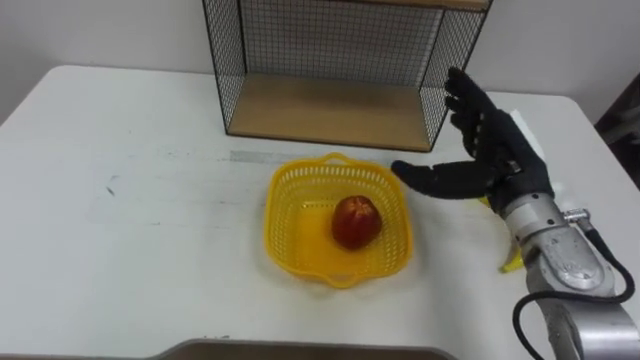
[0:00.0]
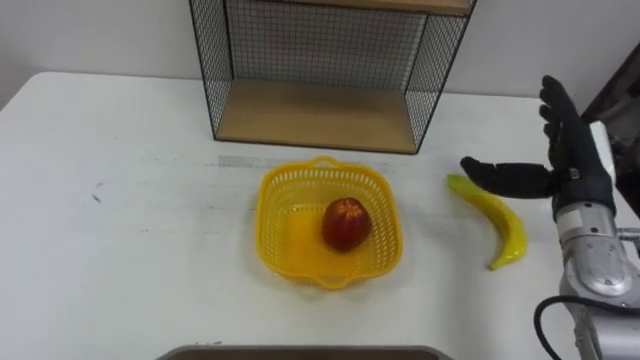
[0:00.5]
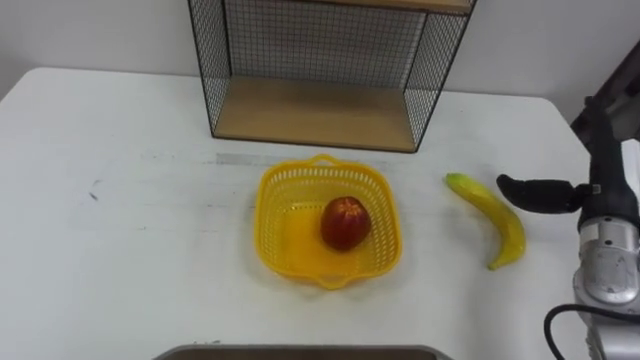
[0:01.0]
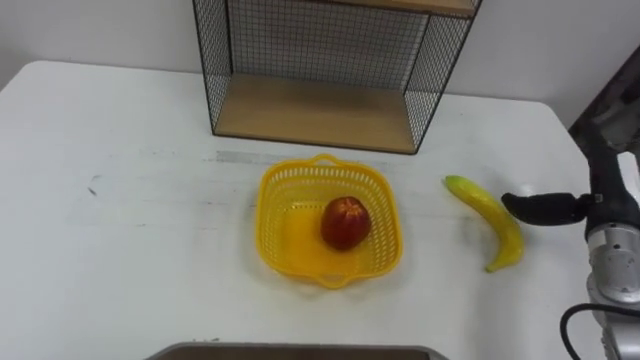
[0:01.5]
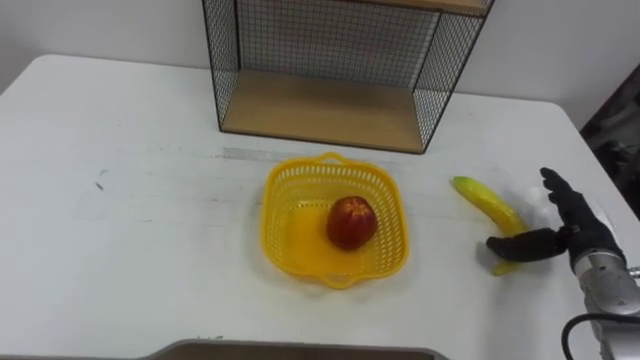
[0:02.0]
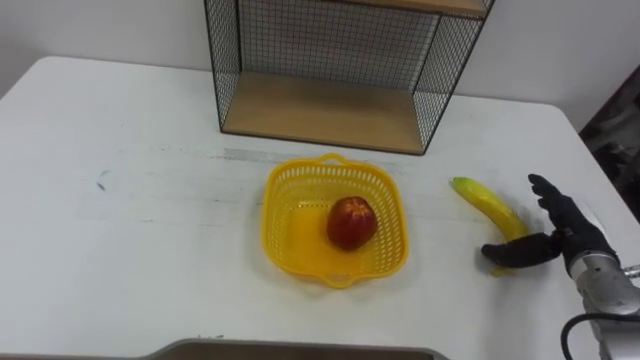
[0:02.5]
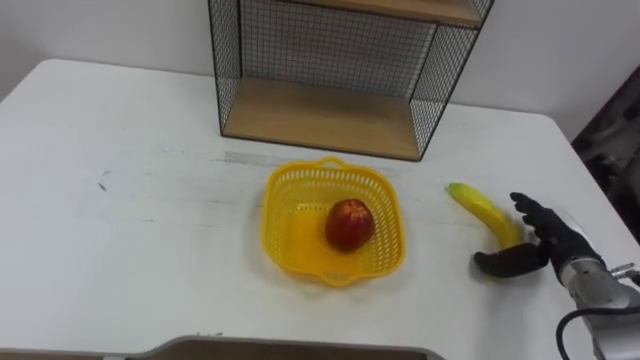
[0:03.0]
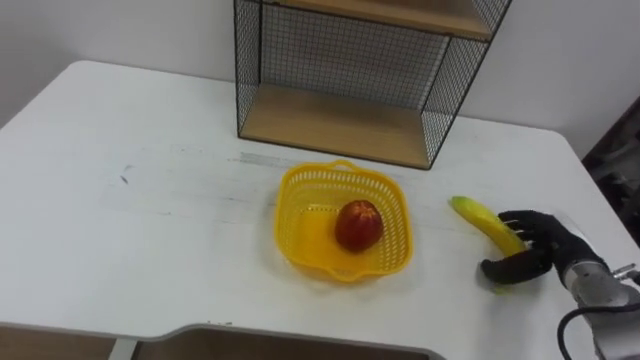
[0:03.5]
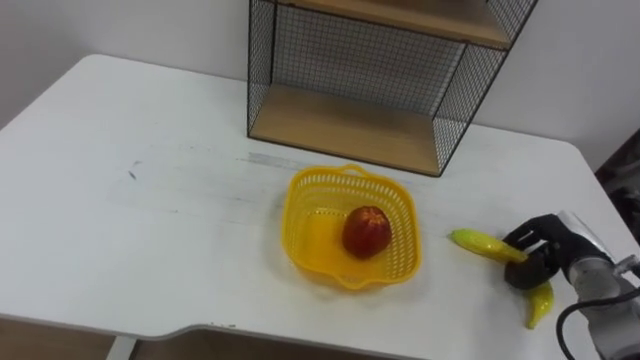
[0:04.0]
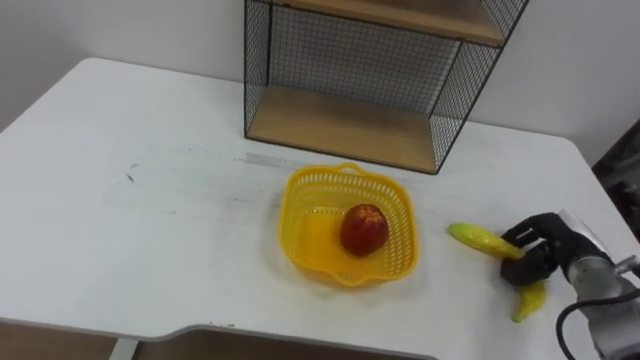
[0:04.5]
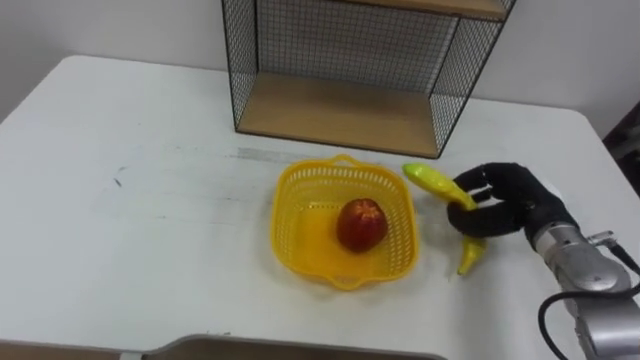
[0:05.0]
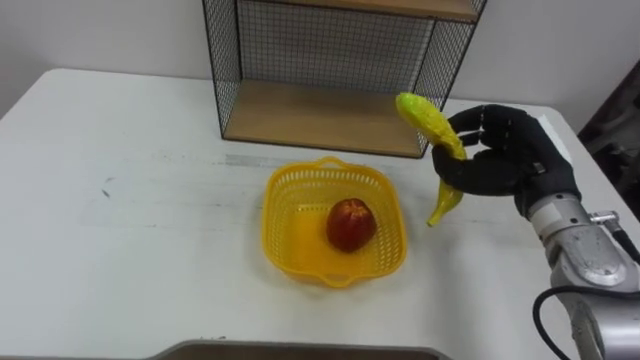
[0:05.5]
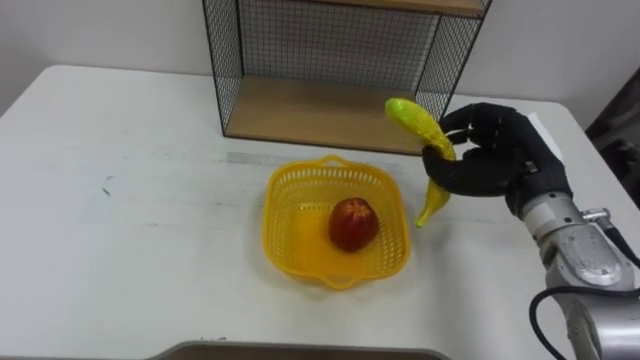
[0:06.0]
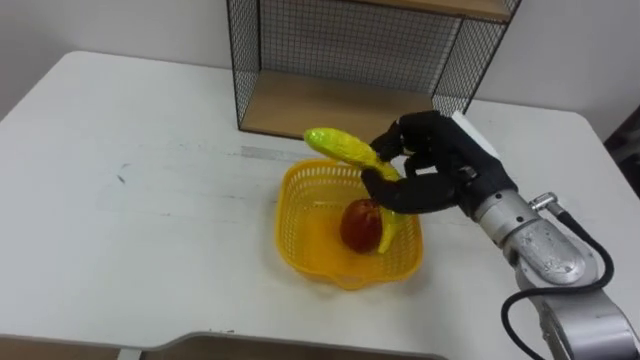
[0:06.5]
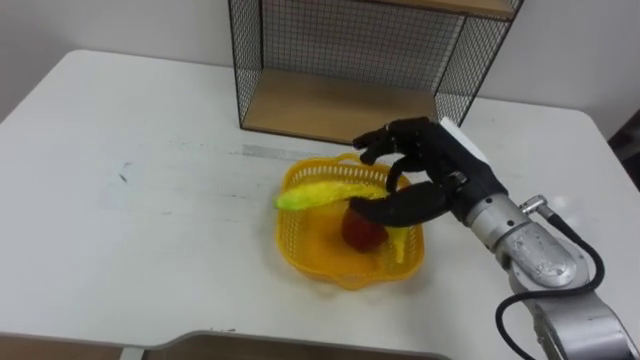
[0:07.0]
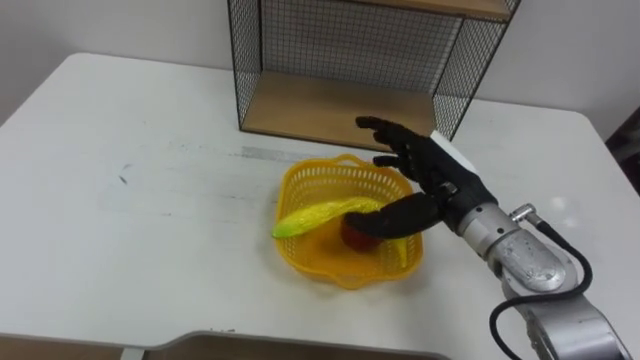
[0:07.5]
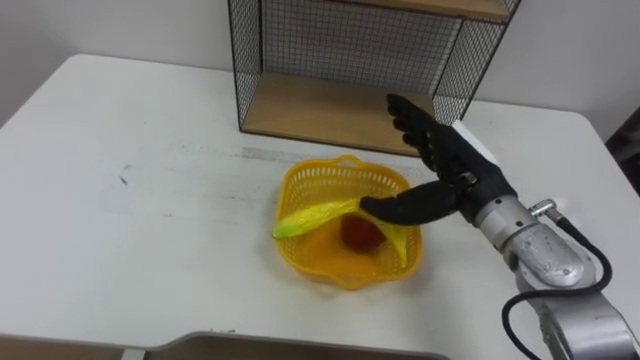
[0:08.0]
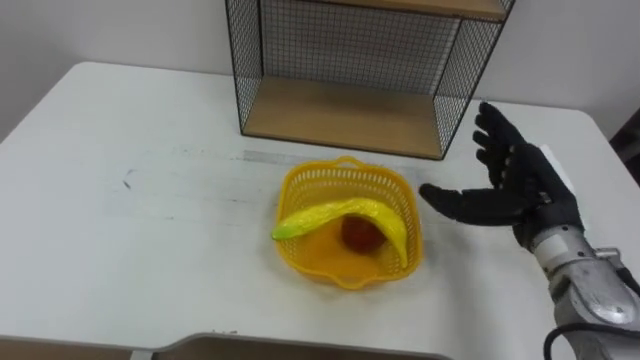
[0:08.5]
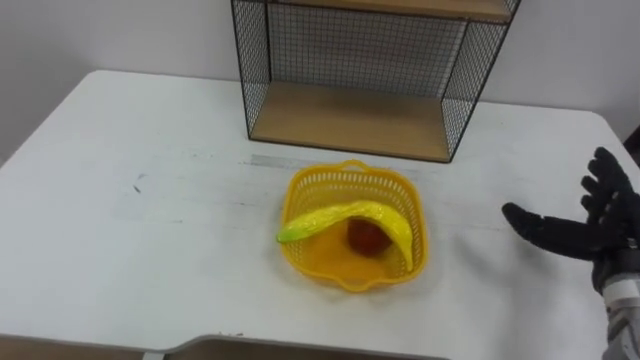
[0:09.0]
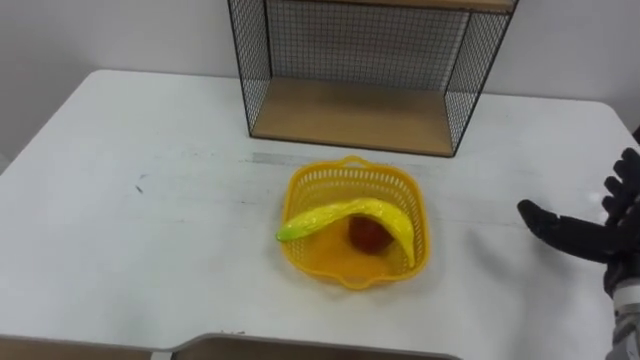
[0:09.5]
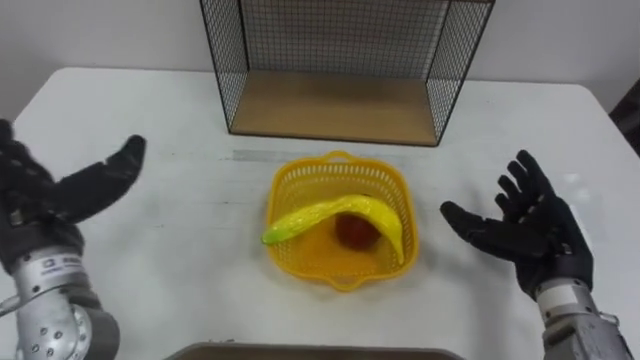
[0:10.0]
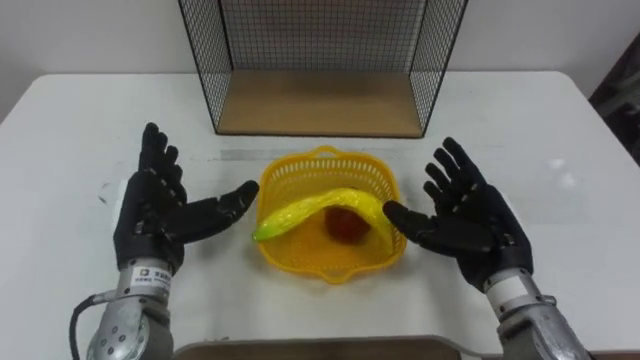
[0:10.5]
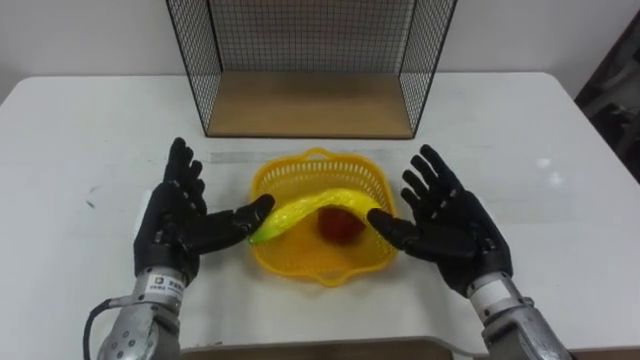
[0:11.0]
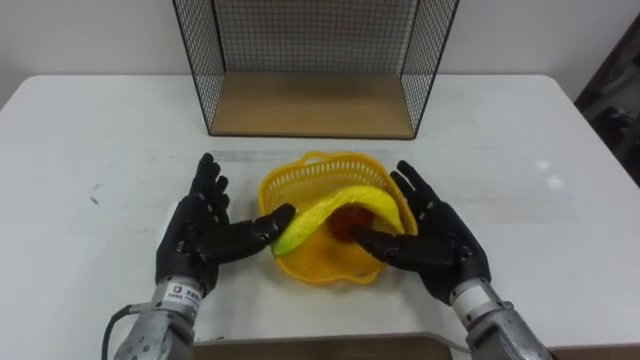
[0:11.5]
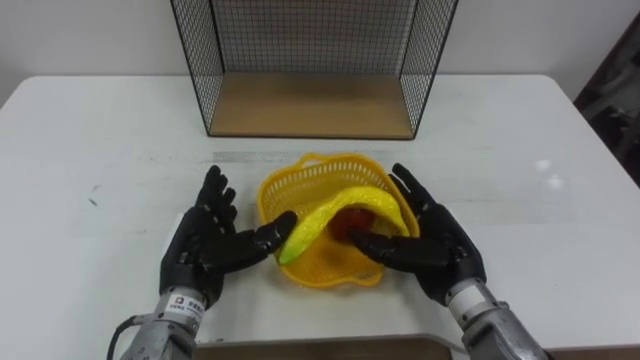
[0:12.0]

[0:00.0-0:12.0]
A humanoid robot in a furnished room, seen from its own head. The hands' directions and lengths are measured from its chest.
Task of the whole recording: Put the fruit on the table into the basket, then place the basket on the shelf.
0:00.0 to 0:02.0: The right hand shifts roughly 15 cm to the right and downward.
0:02.0 to 0:04.0: The right hand closes up.
0:04.0 to 0:06.0: The right hand travels upward and to the left by approximately 20 cm.
0:06.0 to 0:08.0: The right hand heads to the left, covering about 5 cm, and opens its fingers.
0:10.0 to 0:12.0: The left hand goes roughly 15 cm to the right and downward. The right hand is displaced to the left by approximately 10 cm.

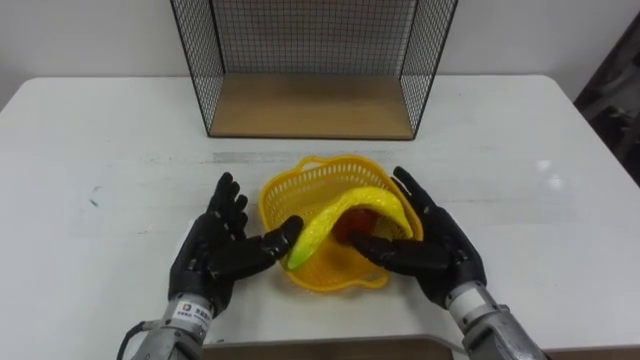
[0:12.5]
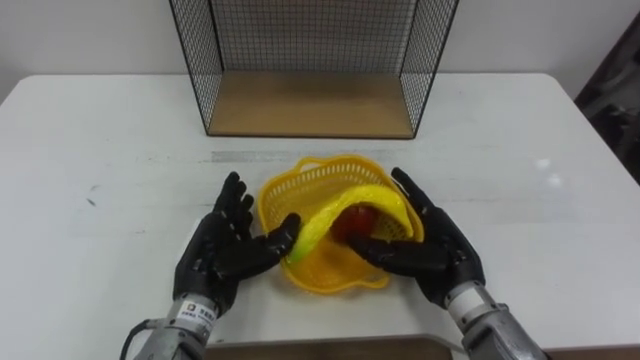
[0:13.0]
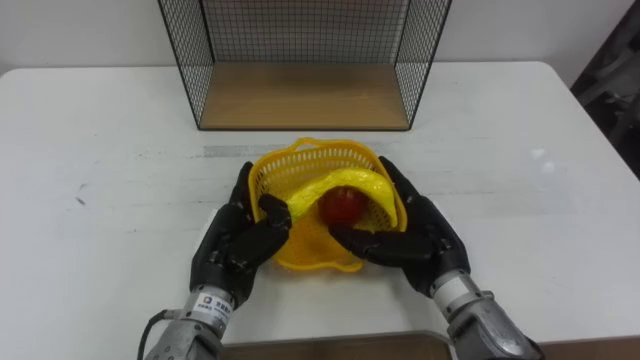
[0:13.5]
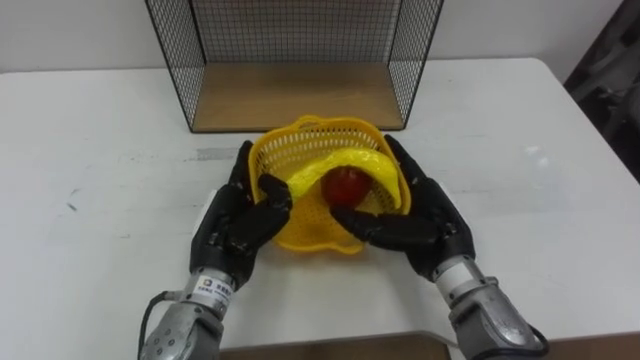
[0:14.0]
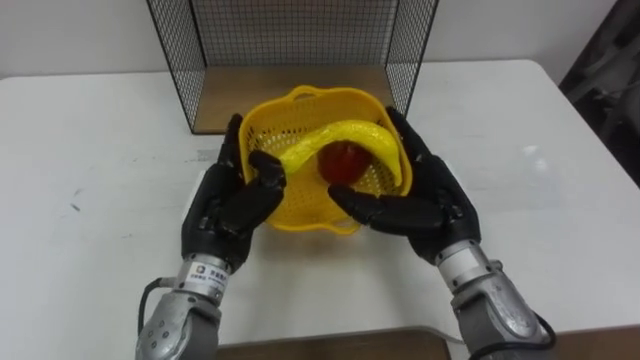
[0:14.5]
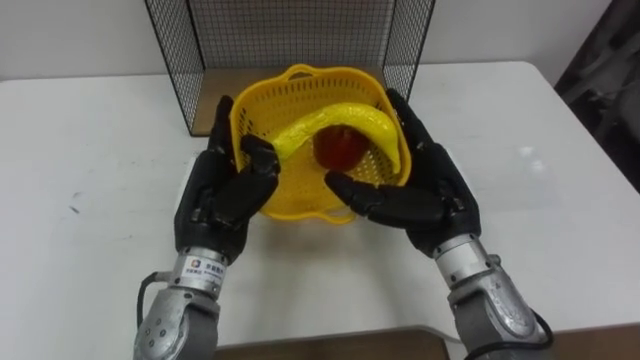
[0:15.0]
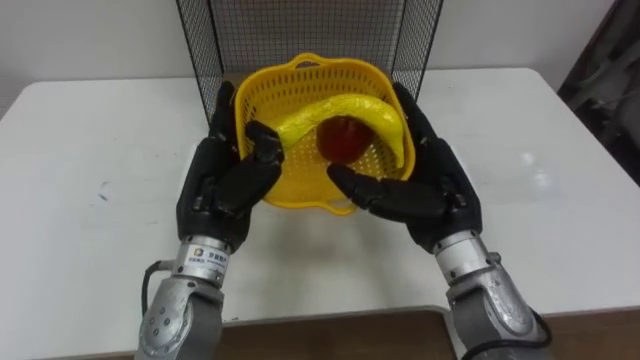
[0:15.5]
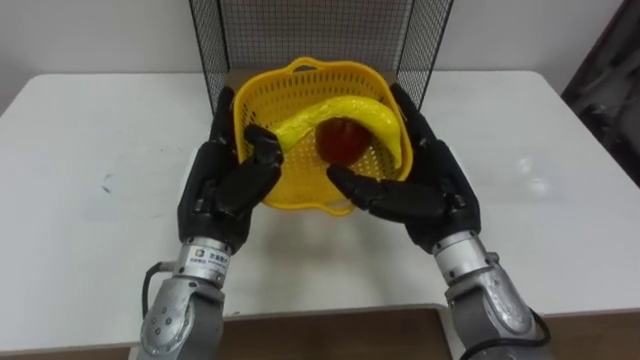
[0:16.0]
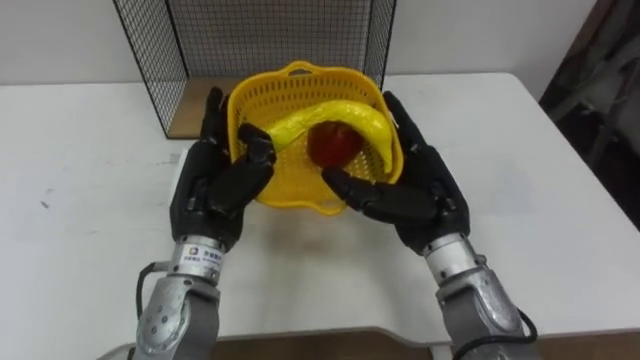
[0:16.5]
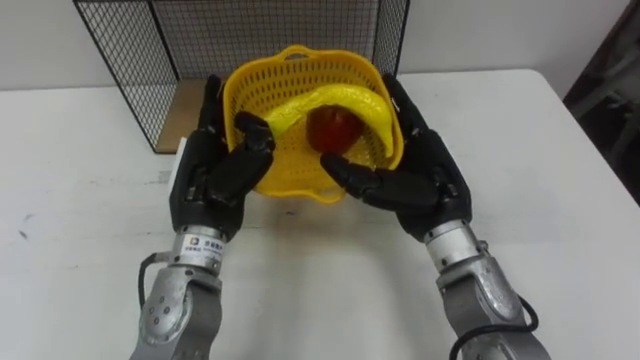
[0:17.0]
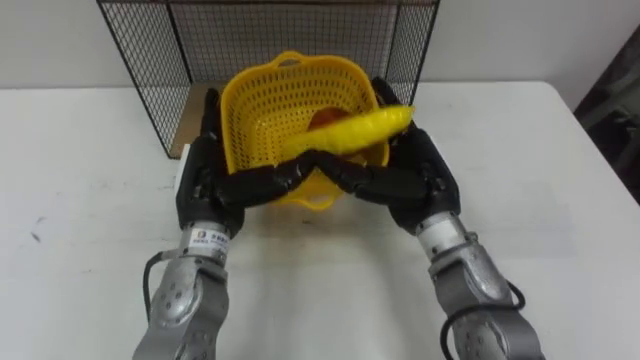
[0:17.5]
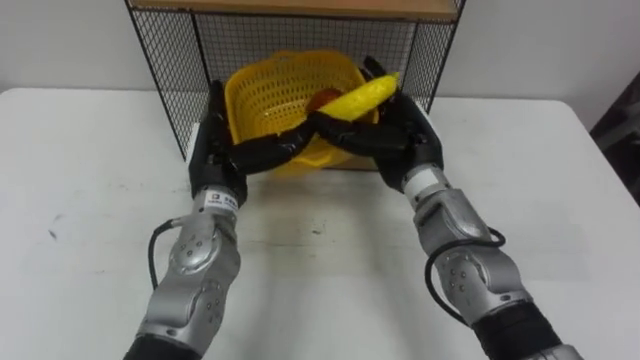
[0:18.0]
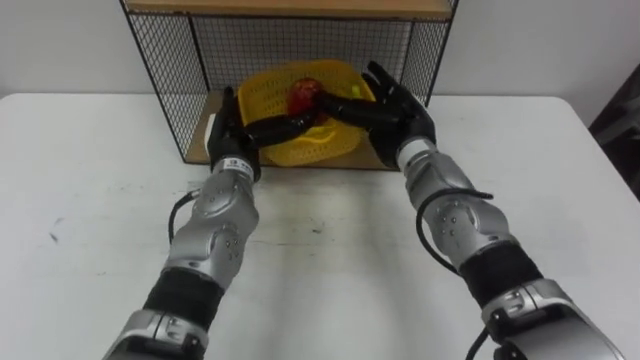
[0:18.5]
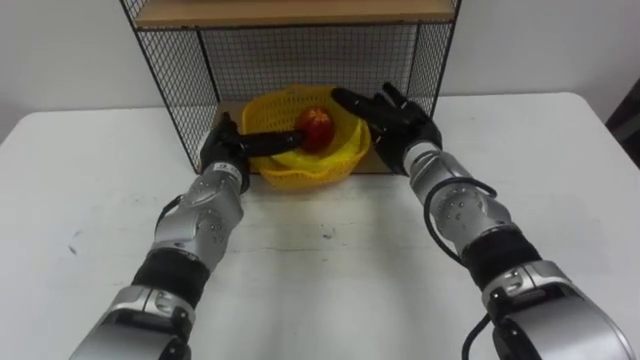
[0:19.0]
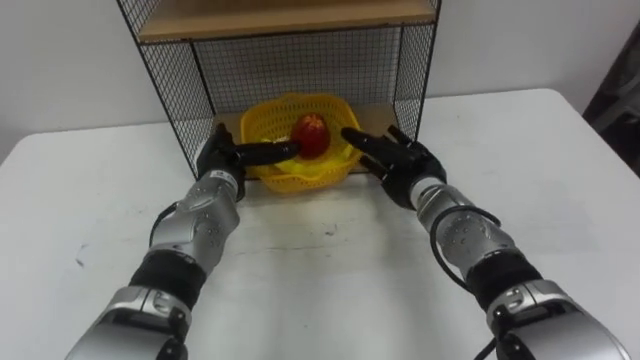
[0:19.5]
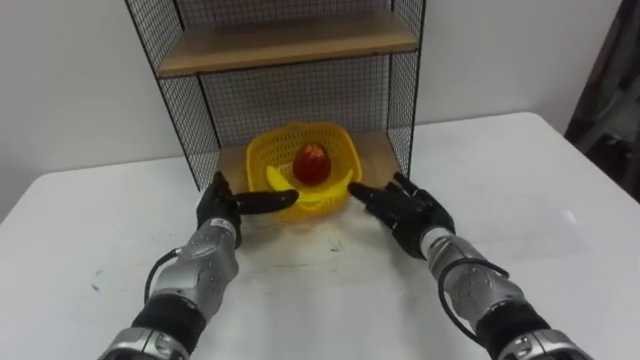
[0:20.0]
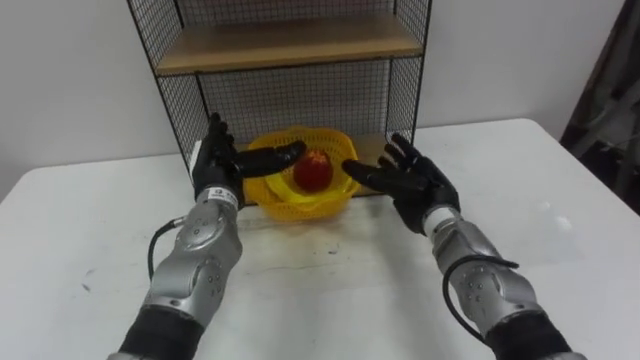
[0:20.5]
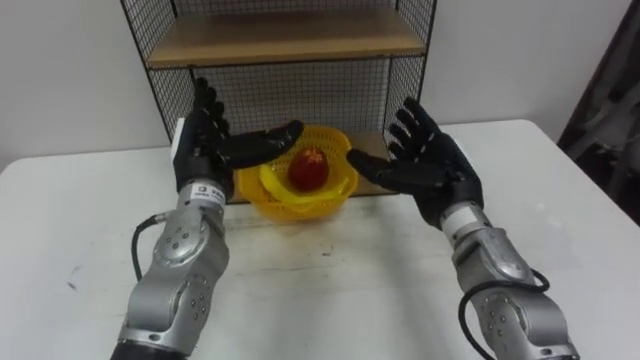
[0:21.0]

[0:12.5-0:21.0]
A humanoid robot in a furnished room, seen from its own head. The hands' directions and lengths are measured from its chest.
Task of the whole recording: Put the fruit on the table into the basket, then place the basket on the shelf.
0:12.5 to 0:14.5: The two hands go some 5 cm upward.
0:16.5 to 0:19.0: The left hand is displaced forward and downward by roughly 15 cm. Meanwhile the right hand goes roughly 10 cm forward.
0:19.0 to 0:21.0: The left hand is displaced upward and backward by roughly 10 cm. The right hand moves backward, approximately 10 cm, and moves roughly 10 cm downward and comes back.
